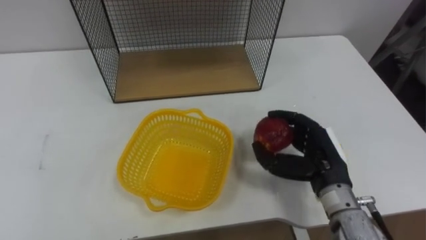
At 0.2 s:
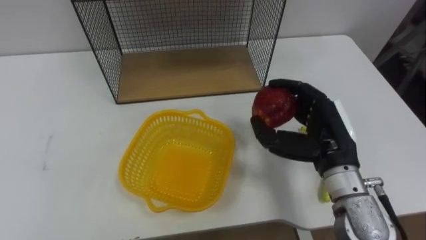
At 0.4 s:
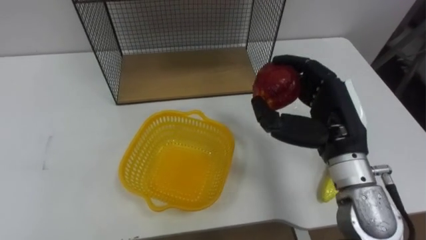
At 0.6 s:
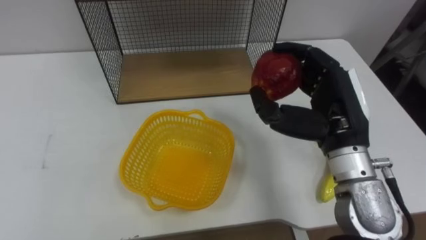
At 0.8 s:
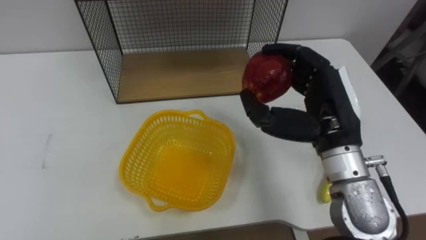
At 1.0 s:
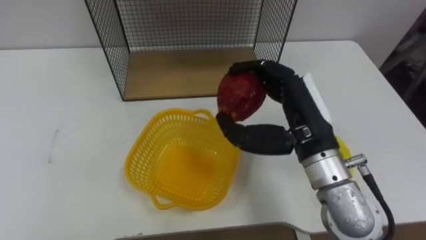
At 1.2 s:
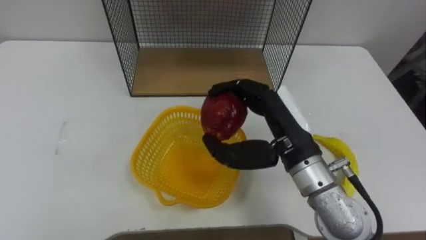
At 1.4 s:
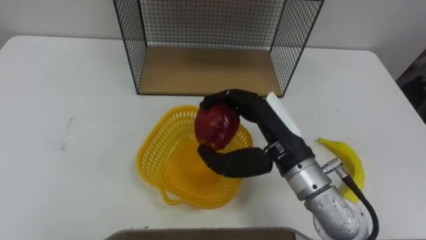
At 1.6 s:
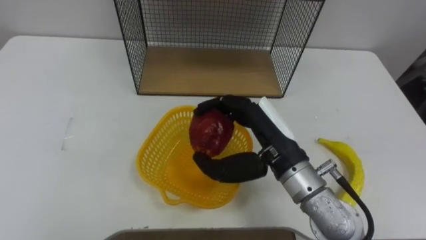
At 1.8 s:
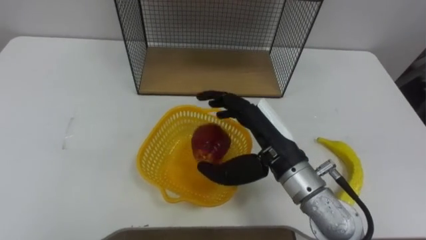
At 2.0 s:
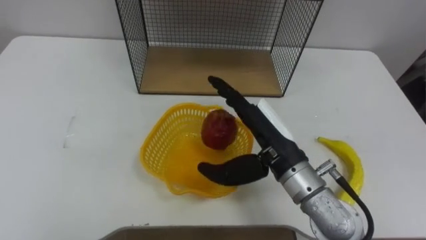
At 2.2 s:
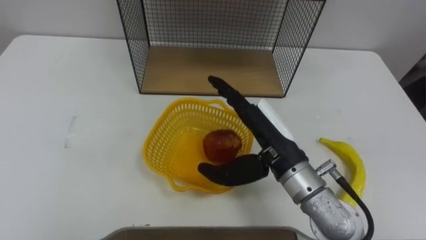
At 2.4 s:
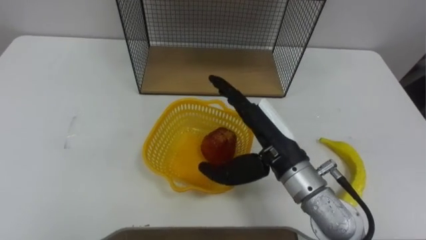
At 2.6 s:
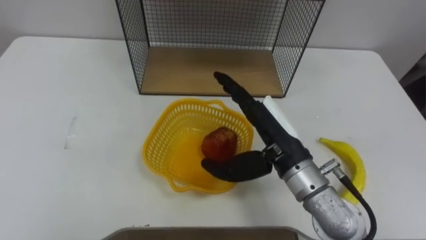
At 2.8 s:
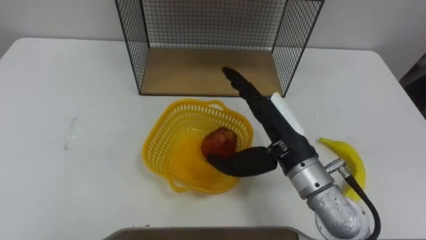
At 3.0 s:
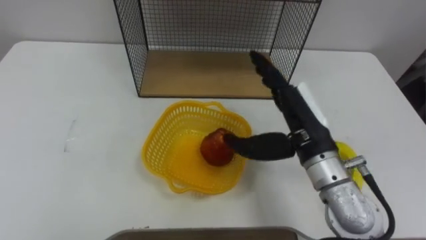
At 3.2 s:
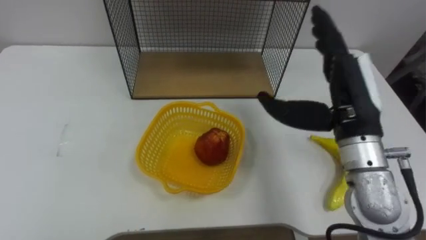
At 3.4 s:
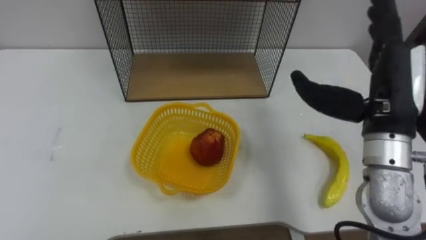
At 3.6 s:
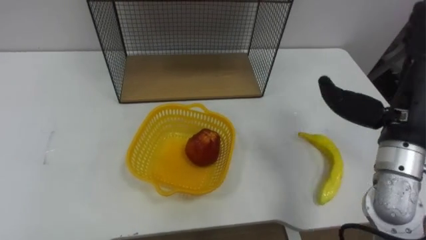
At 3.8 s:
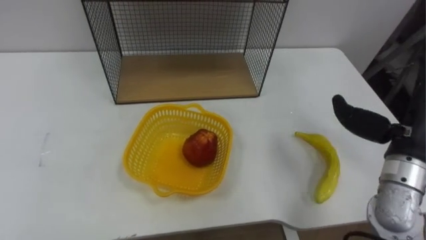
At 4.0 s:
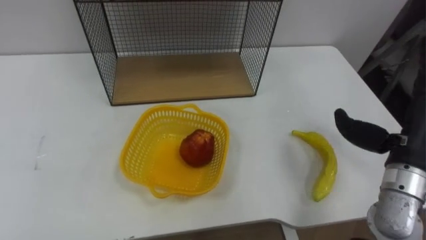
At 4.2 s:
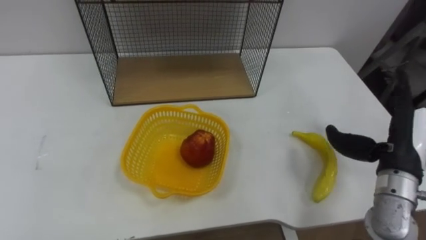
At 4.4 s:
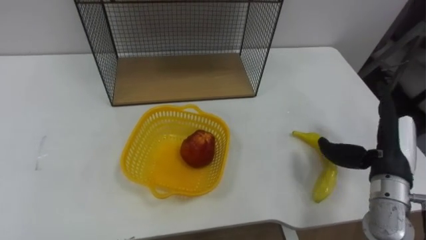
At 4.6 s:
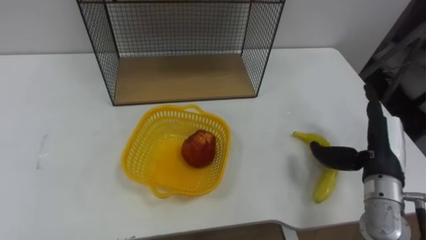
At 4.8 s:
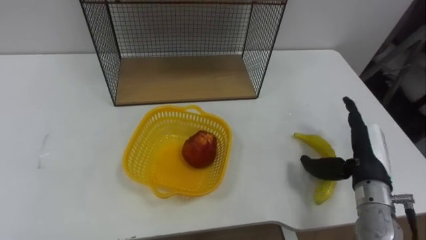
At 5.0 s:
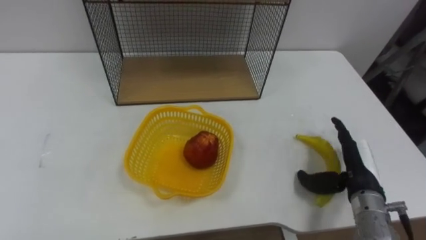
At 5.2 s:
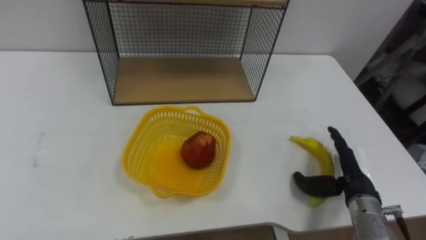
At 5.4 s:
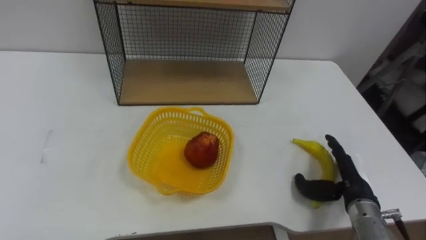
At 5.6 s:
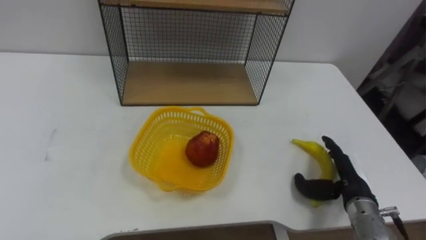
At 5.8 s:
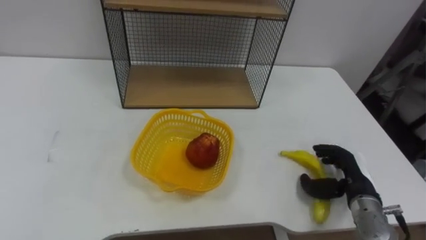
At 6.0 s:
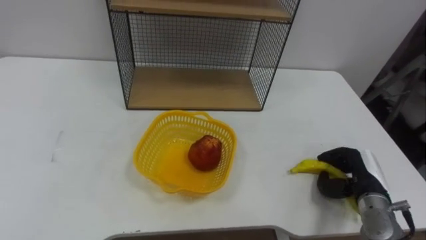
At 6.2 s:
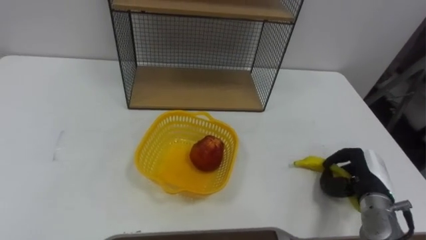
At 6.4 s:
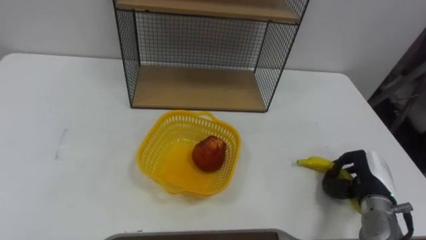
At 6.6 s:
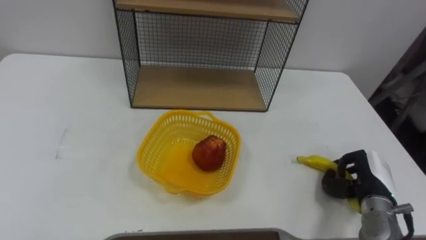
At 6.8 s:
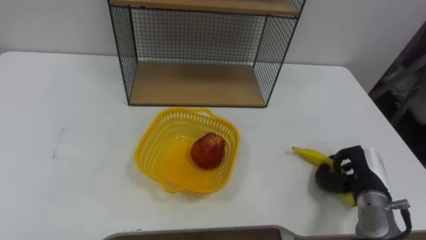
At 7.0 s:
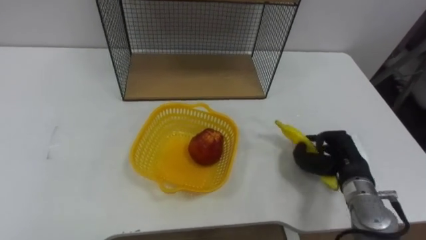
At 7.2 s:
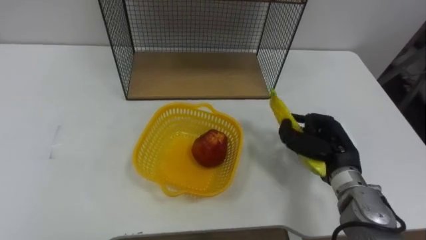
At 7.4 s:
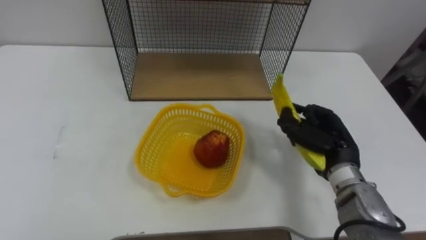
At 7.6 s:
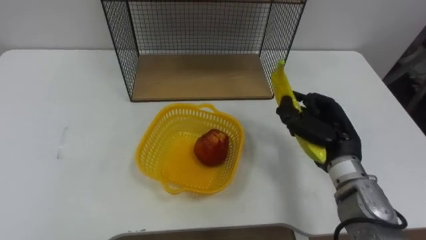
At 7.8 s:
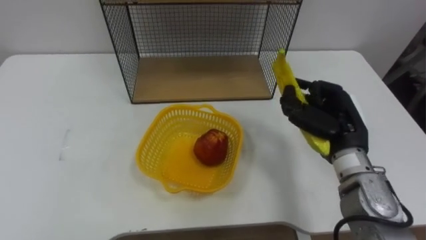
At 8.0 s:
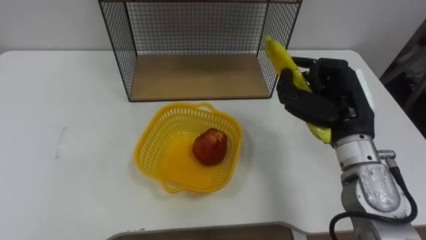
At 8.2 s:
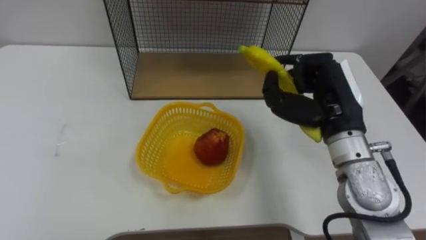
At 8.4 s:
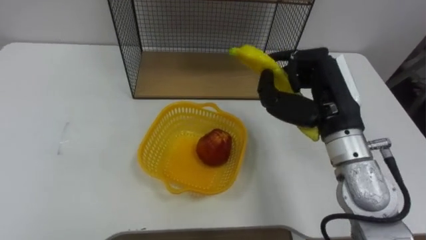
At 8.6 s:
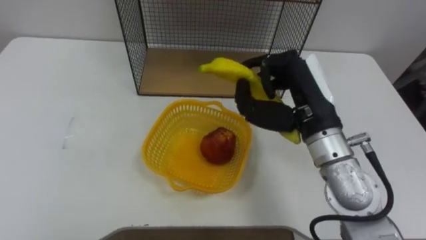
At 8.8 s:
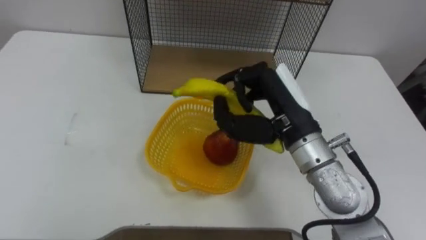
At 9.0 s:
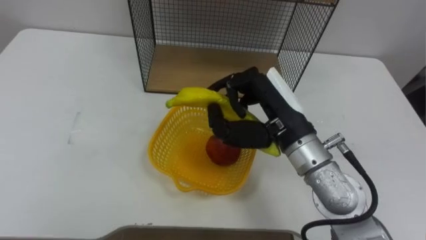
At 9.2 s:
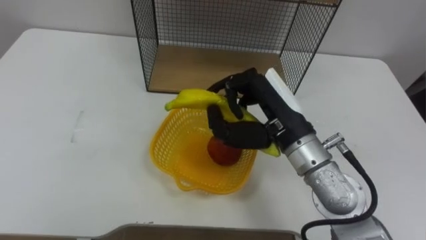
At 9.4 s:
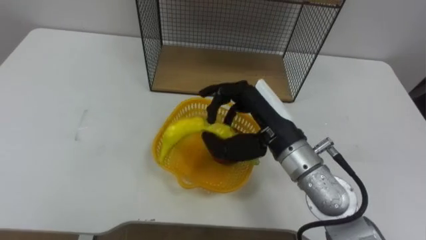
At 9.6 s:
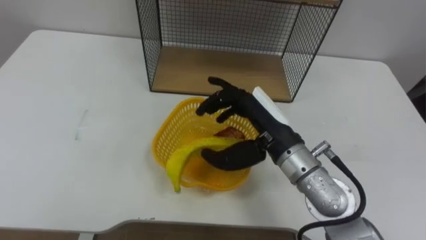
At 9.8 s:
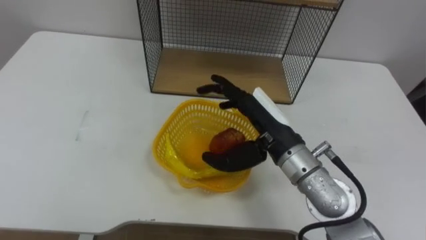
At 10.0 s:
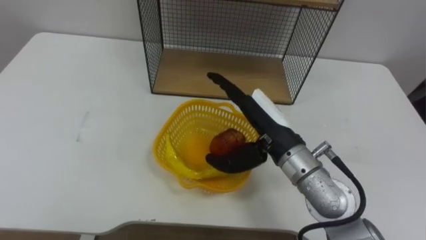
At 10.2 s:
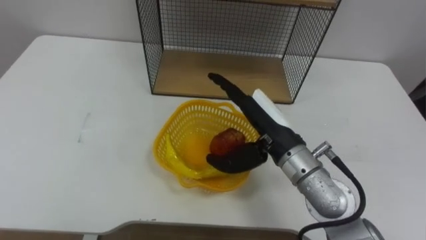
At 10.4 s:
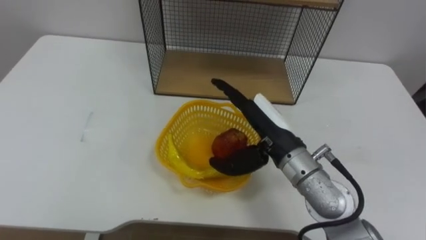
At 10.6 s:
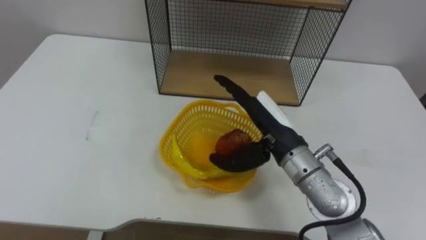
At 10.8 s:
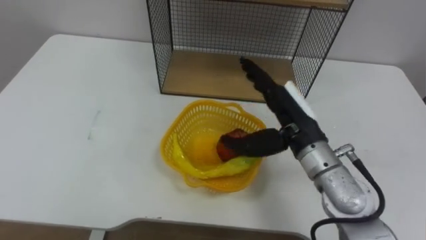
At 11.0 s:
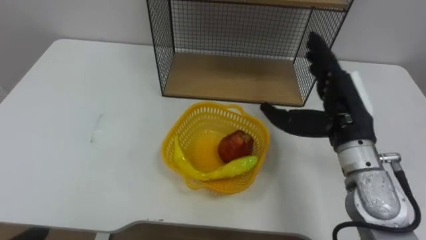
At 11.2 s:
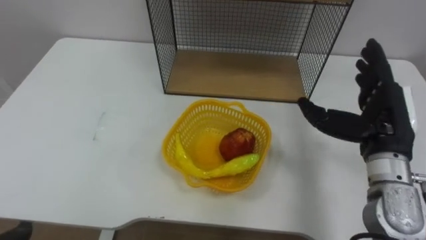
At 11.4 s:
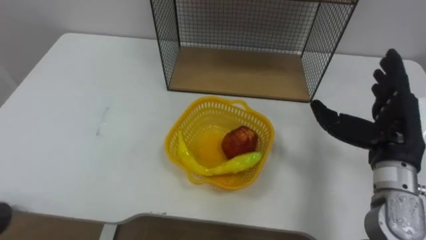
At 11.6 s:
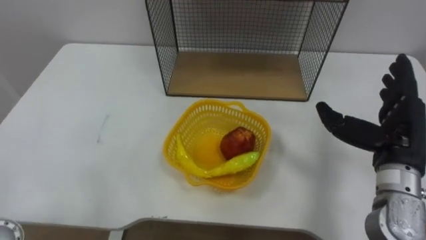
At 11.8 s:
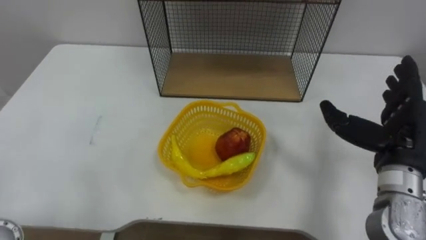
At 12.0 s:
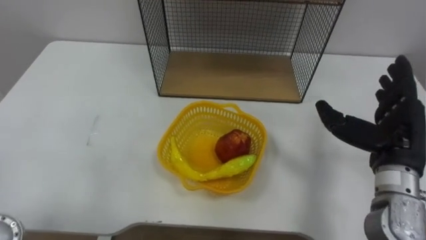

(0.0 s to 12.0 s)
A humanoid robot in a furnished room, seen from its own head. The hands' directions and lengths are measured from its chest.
Task of the whole recording: Put the fruit on the table into the basket, then place the basket on the shelf.
0.0 s - 1.6 s: The right hand moves to the left and upward, approximately 15 cm.
1.6 s - 3.0 s: The right hand opens up.
3.0 s - 4.4 s: The right hand is displaced to the right by approximately 15 cm.
4.4 s - 6.0 s: The right hand is displaced downward by roughly 10 cm, and closes.
6.0 s - 7.6 s: The right hand travels upward and to the left by some 15 cm, and closes.
7.6 s - 9.0 s: The right hand goes some 15 cm to the left and upward.
9.0 s - 10.4 s: The right hand moves downward, roughly 5 cm, and opens.
10.4 s - 12.0 s: The right hand travels to the right by approximately 20 cm.

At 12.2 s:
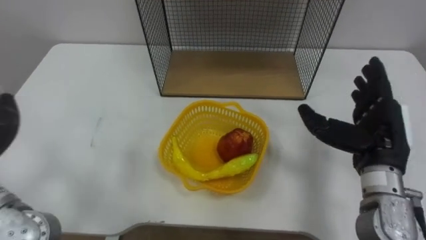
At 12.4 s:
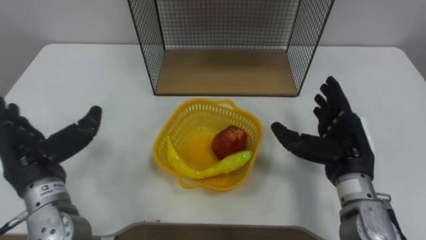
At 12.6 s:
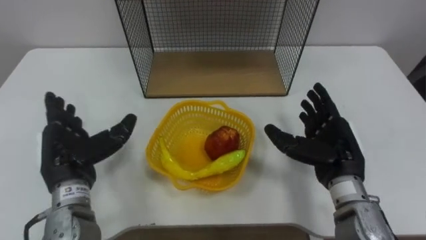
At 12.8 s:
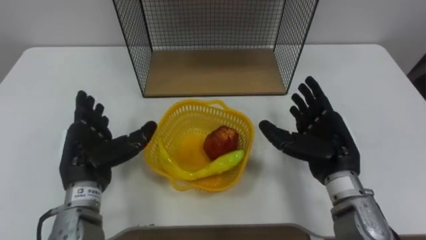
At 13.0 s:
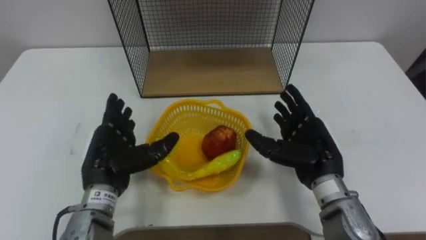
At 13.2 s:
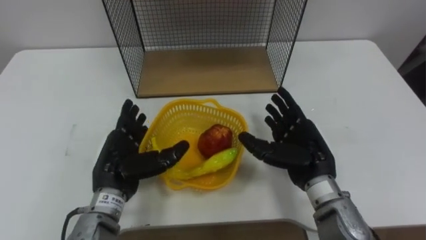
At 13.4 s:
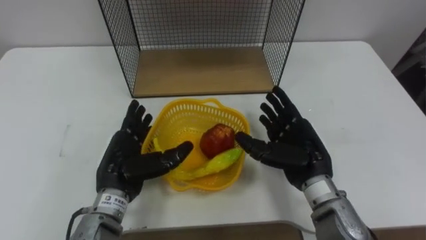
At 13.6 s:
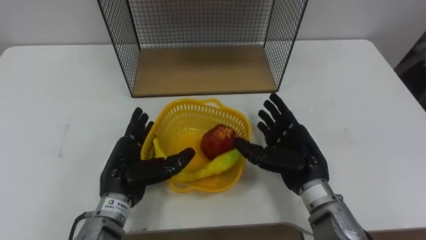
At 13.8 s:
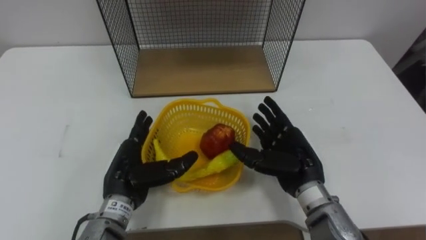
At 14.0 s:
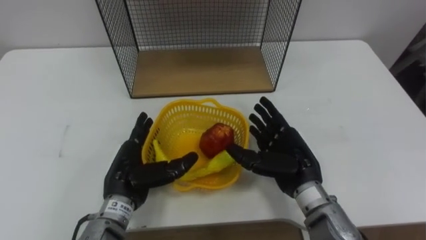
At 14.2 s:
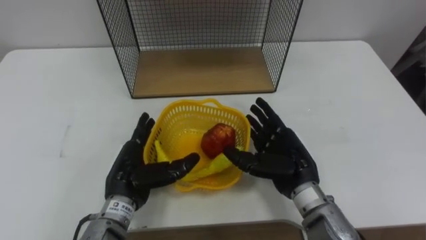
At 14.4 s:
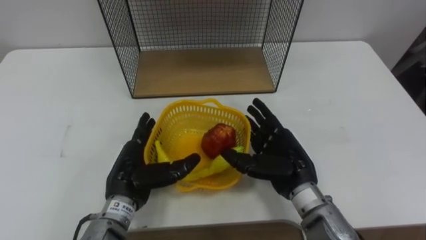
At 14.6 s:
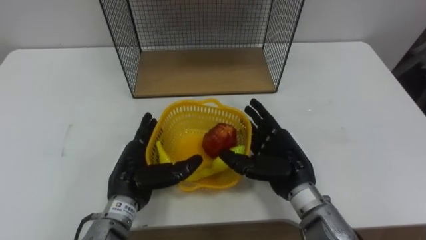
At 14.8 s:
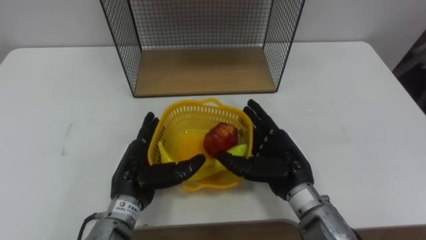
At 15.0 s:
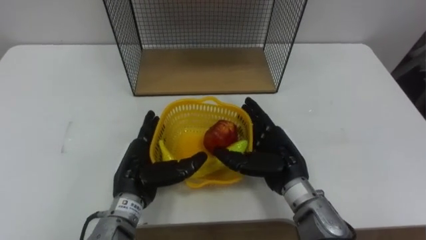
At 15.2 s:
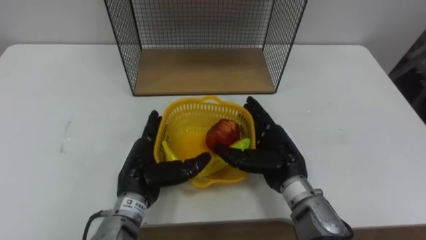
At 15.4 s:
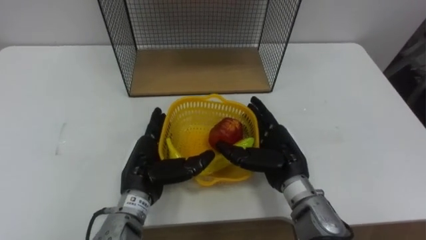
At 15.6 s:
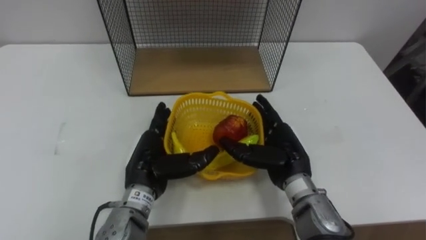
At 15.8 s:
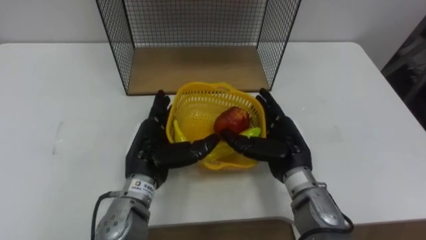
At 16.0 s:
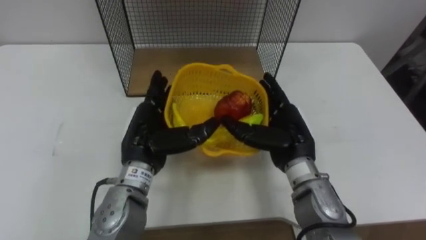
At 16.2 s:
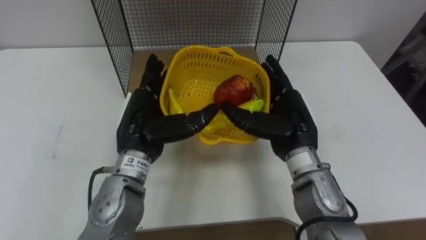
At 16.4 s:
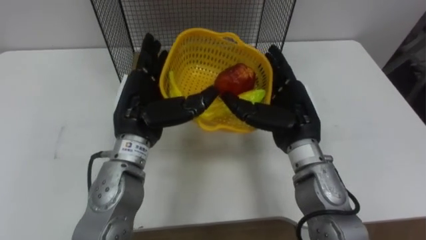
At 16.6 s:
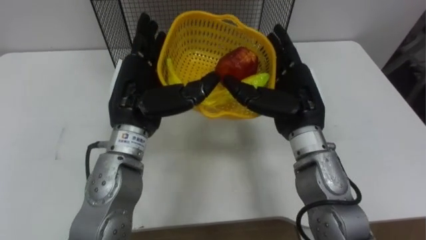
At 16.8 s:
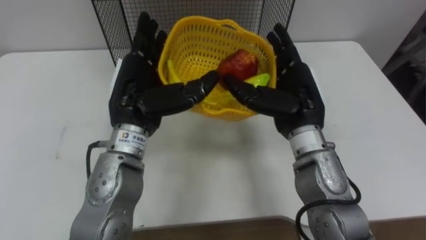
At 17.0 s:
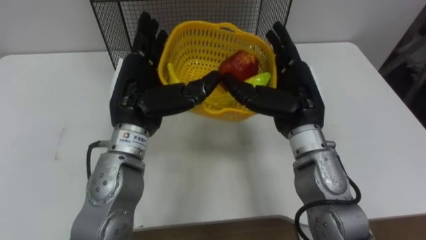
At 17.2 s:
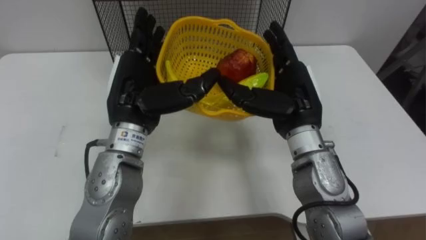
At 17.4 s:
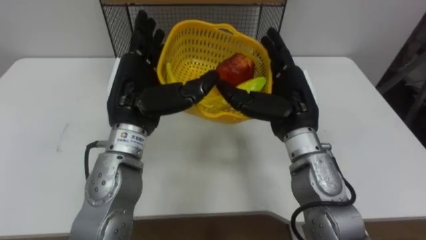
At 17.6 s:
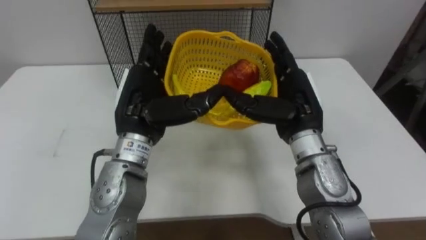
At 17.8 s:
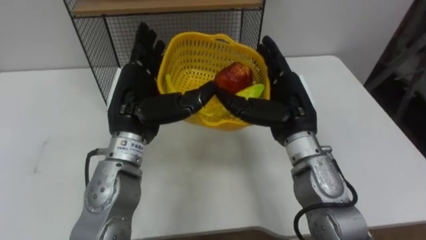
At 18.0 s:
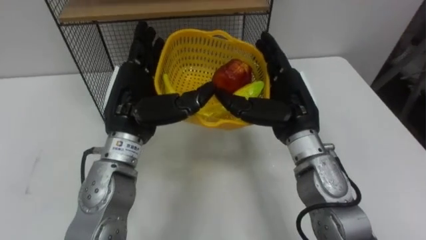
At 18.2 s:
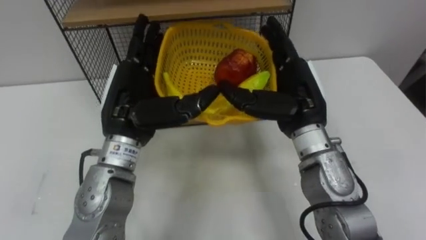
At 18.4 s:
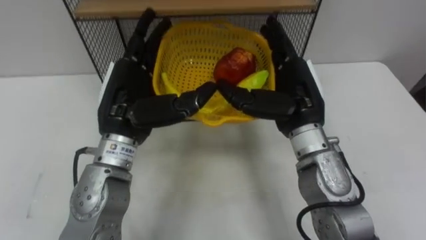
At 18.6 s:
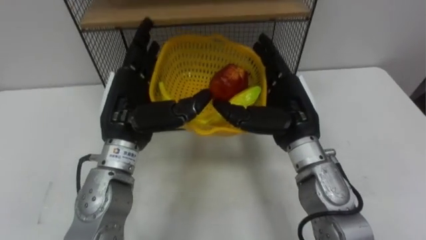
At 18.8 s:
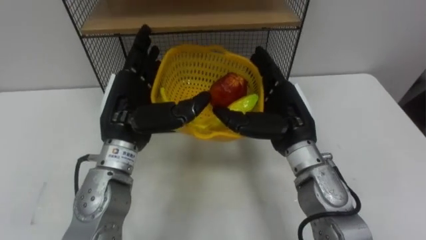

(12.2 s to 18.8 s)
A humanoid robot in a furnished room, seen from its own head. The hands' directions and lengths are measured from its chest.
Task of the whole recording: Put the fruit on the table into the basket, then place the basket on the shelf.
12.2 s - 13.8 s: The right hand travels to the left and downward by roughly 15 cm.
13.8 s - 15.4 s: The hands make only small movements.
15.4 s - 17.2 s: The hands both shift upward by roughly 10 cm.
